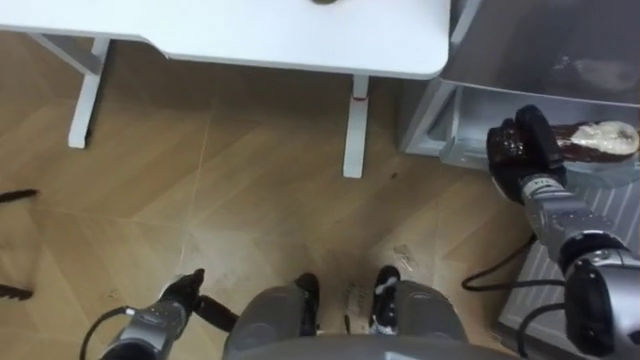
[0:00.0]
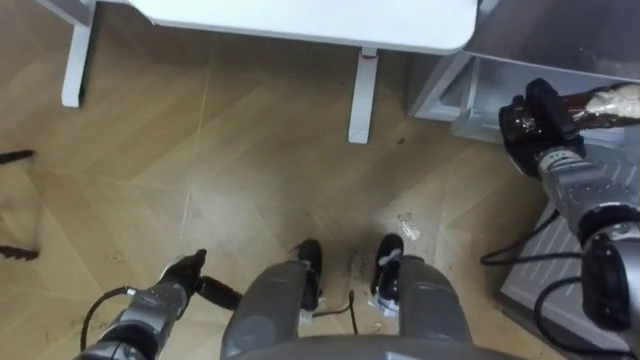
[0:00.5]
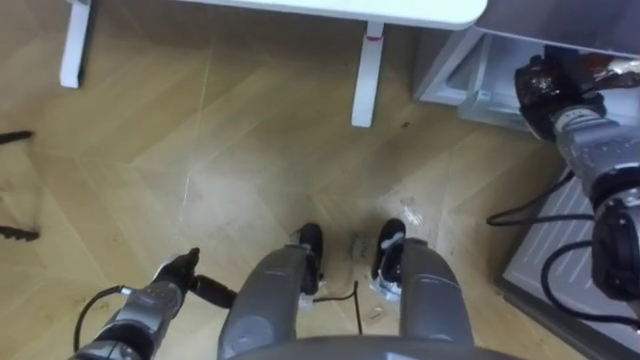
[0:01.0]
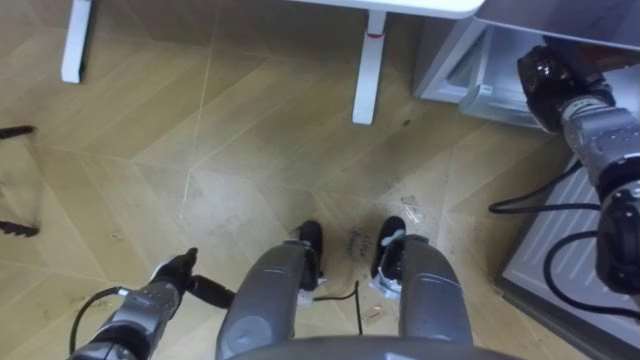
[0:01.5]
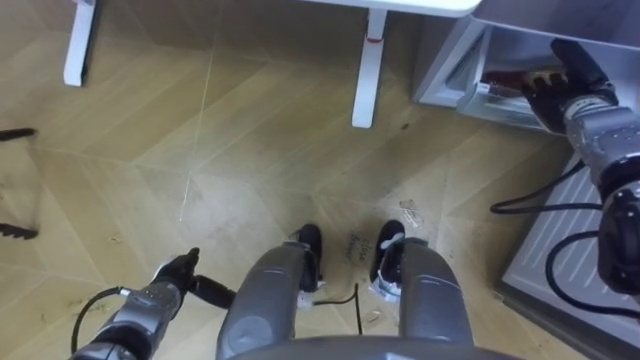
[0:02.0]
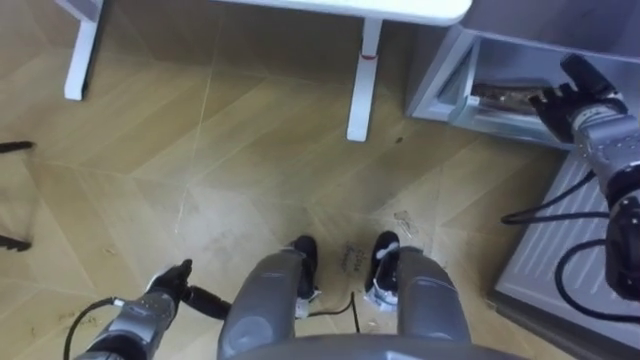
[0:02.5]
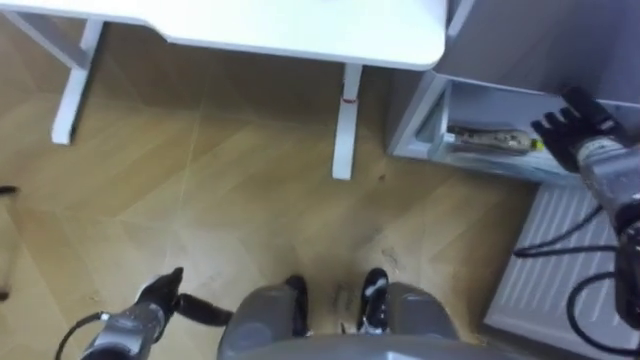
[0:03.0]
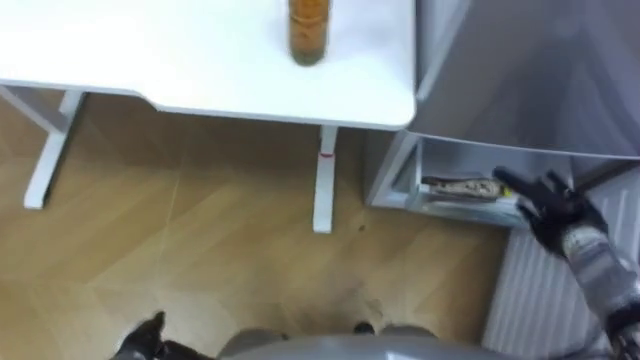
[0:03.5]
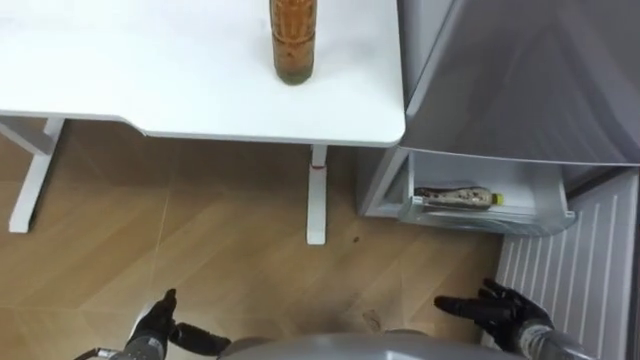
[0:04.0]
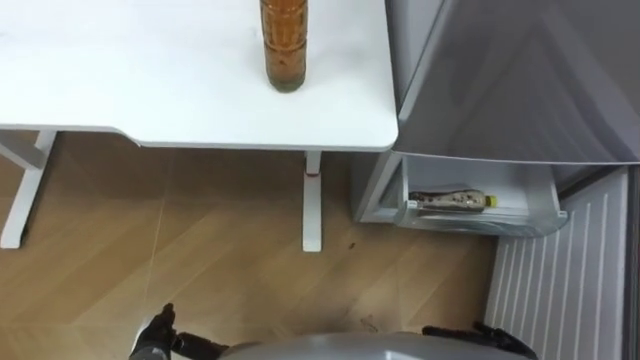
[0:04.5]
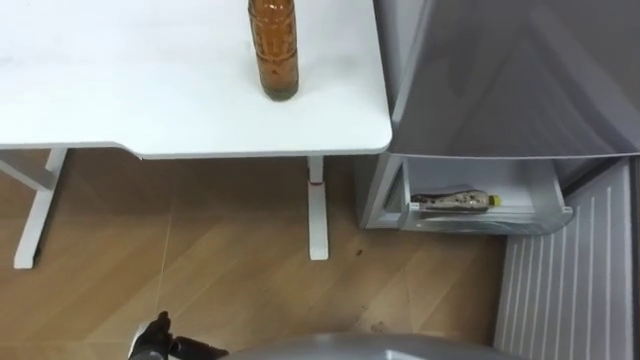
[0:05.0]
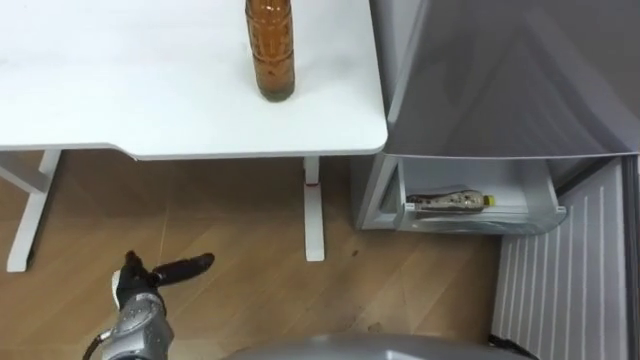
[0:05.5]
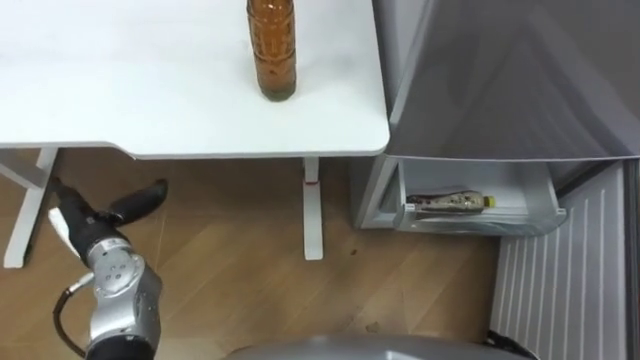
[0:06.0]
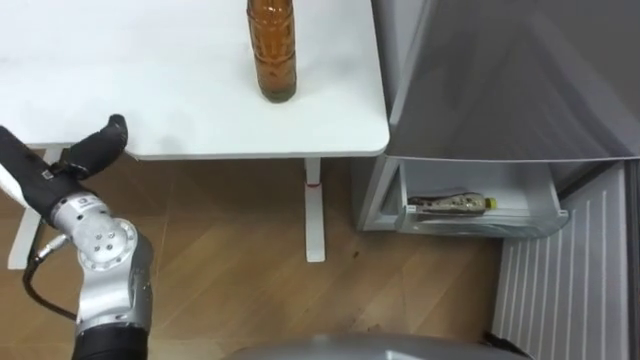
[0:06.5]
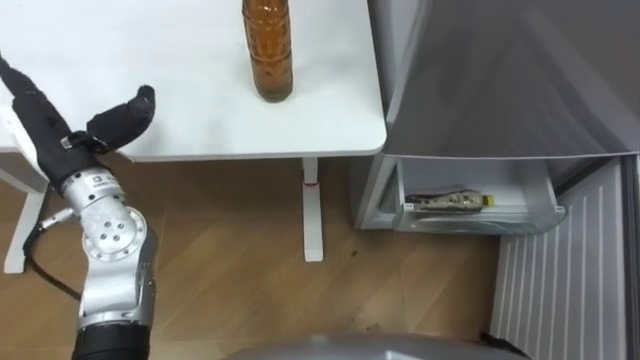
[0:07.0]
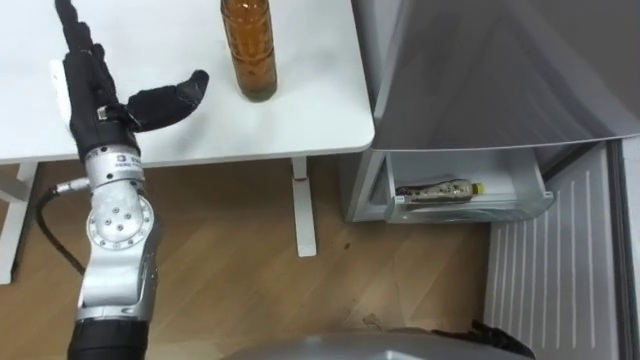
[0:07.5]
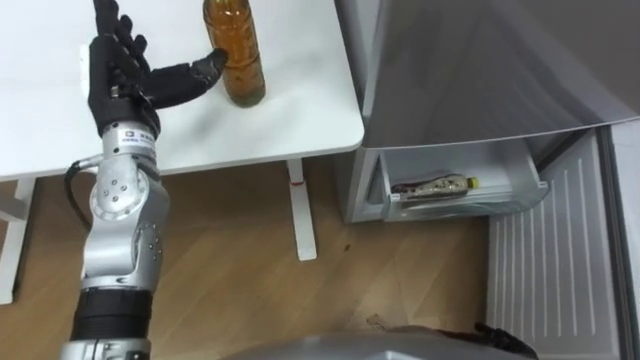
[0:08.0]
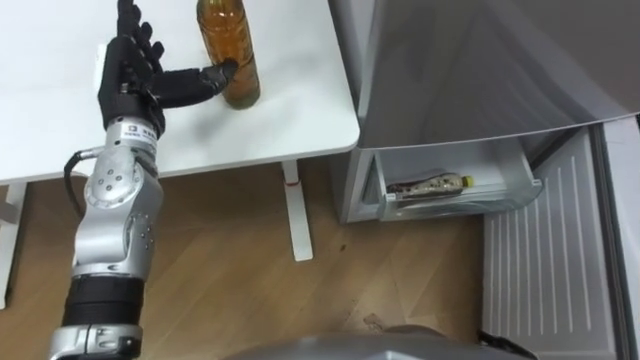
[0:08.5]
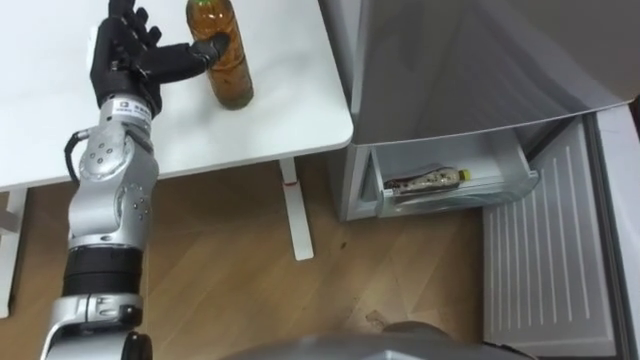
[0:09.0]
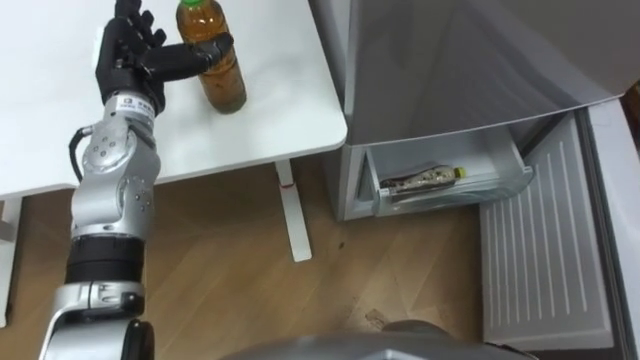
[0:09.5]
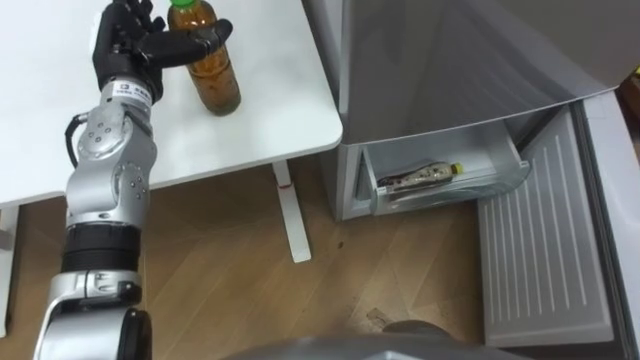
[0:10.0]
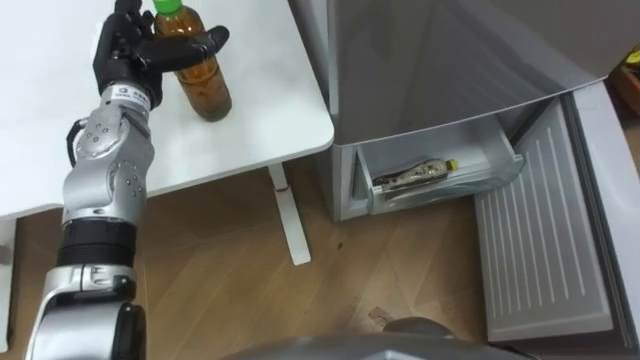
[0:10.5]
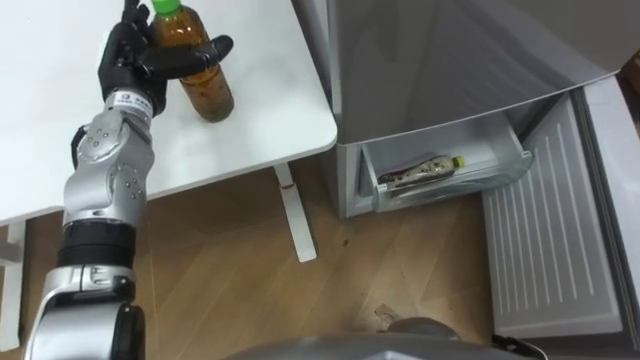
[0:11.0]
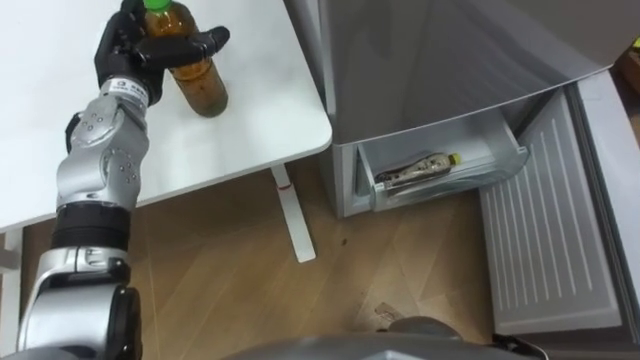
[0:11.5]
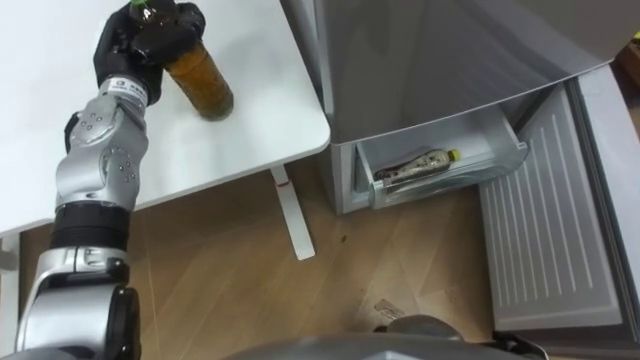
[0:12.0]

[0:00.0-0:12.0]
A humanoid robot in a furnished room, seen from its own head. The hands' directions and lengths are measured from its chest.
Task of the whole recording: Place the drink on the table on the bottom shelf of the refrigerator, then close the drawer and the refrigerator door.
0:00.0 to 0:02.0: The right hand goes some 10 cm upward and forward, and opens its fingers.
0:02.0 to 0:04.0: The left hand shifts approximately 5 cm backward. The right hand shifts roughly 30 cm backward and downward.
0:04.0 to 0:06.0: The left hand moves forward, upward and to the left, some 15 cm.
0:06.0 to 0:08.0: The left hand goes roughly 20 cm upward, forward and to the right.
0:08.0 to 0:10.0: The left hand is displaced forward by approximately 5 cm.
0:10.0 to 0:12.0: The left hand closes its fingers.

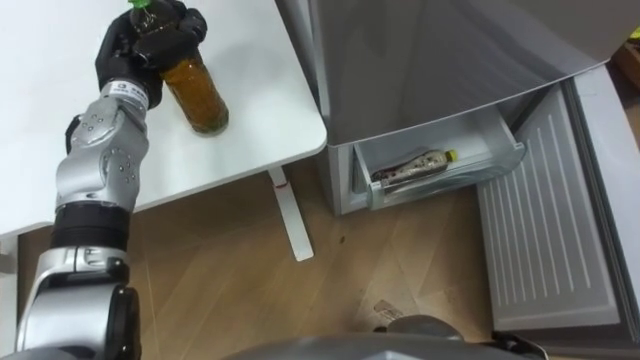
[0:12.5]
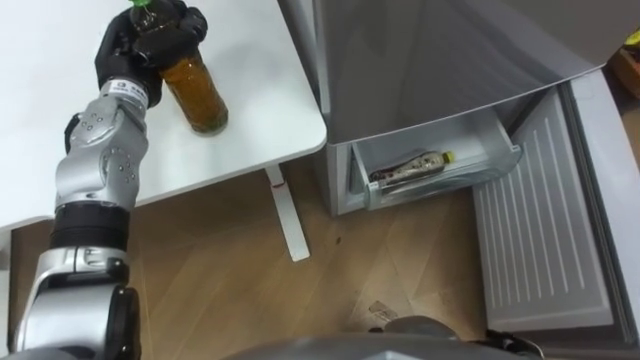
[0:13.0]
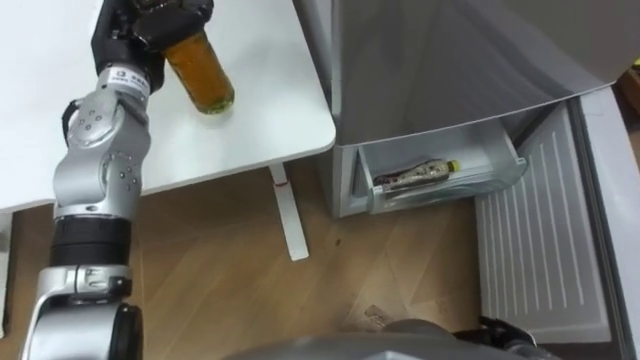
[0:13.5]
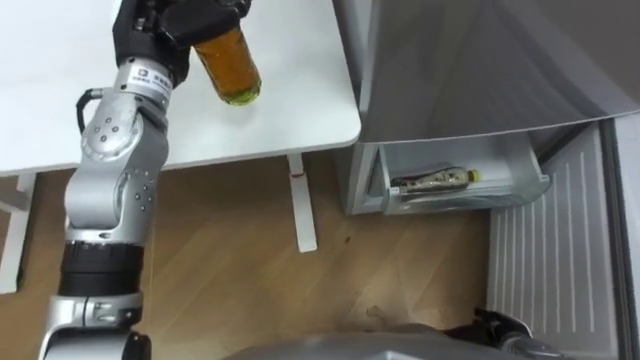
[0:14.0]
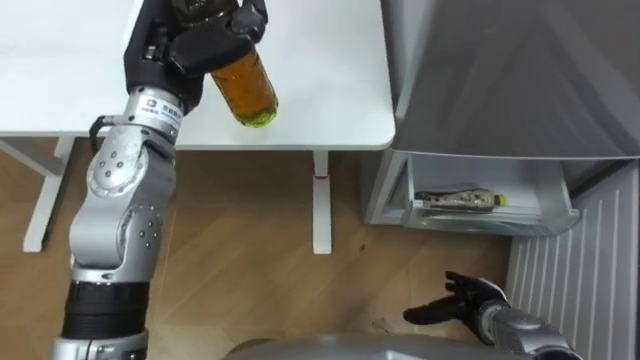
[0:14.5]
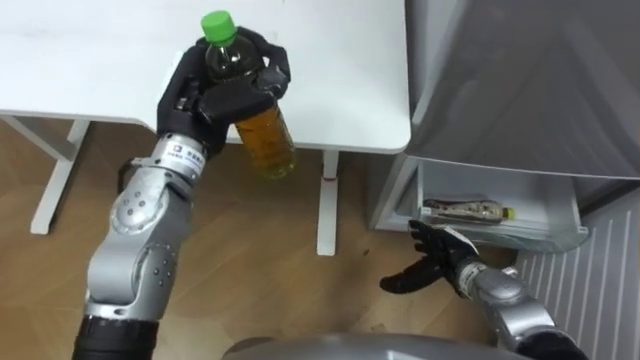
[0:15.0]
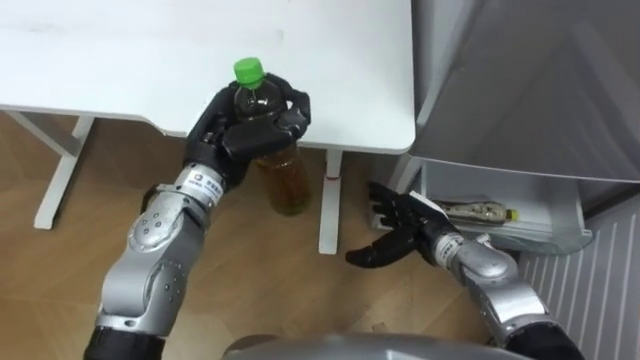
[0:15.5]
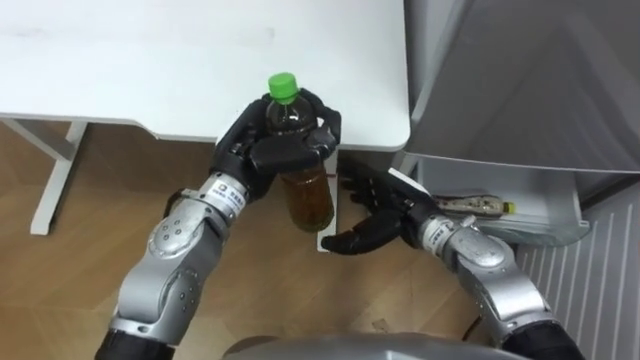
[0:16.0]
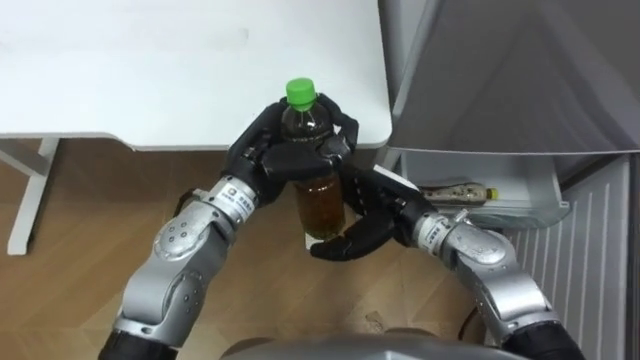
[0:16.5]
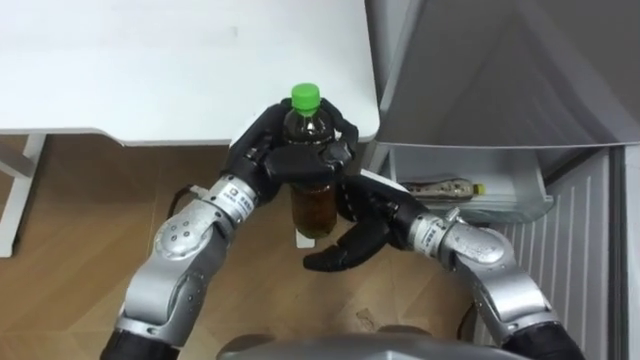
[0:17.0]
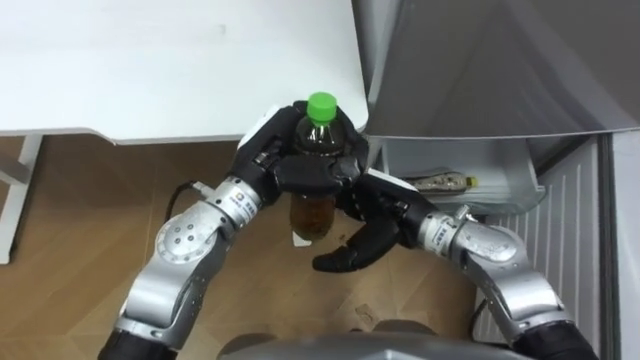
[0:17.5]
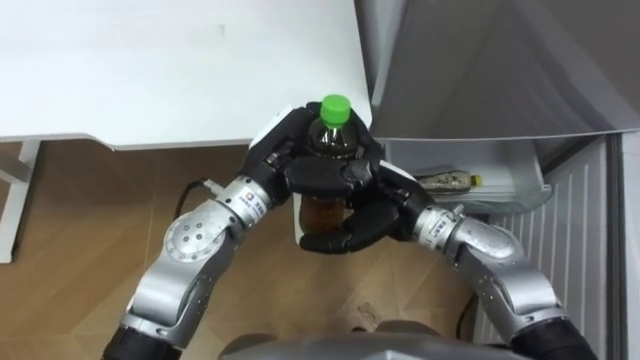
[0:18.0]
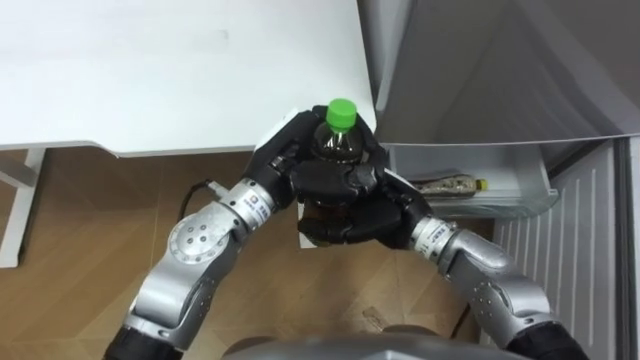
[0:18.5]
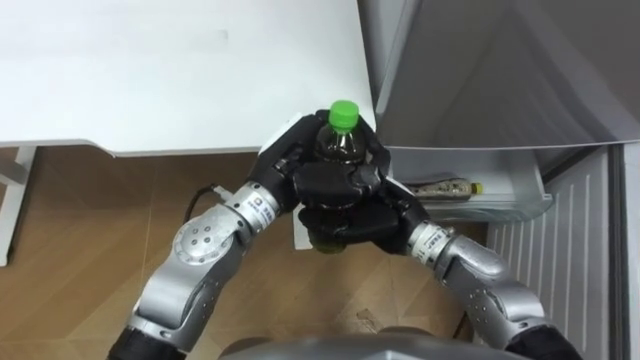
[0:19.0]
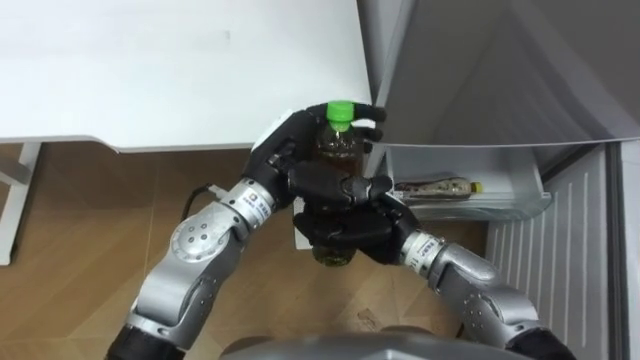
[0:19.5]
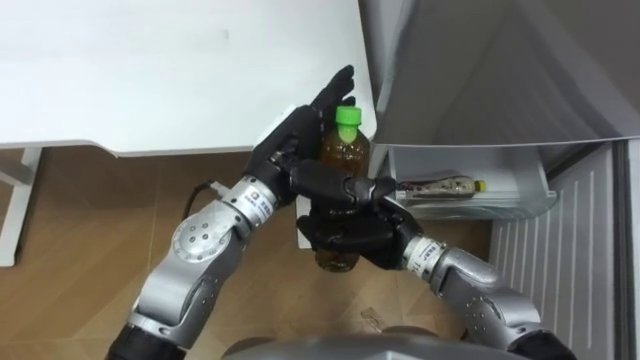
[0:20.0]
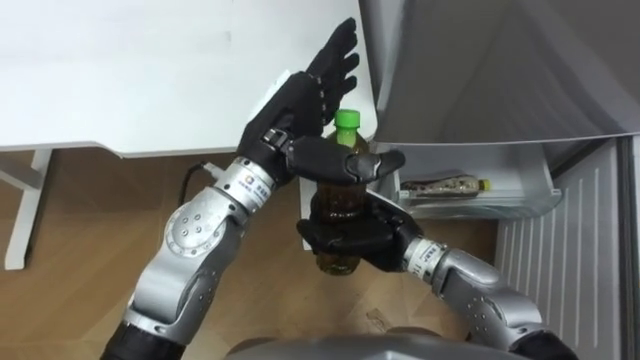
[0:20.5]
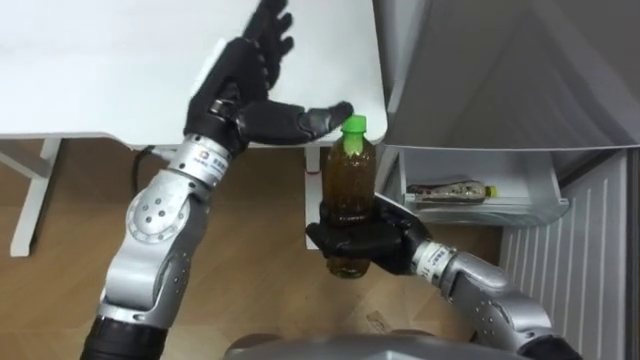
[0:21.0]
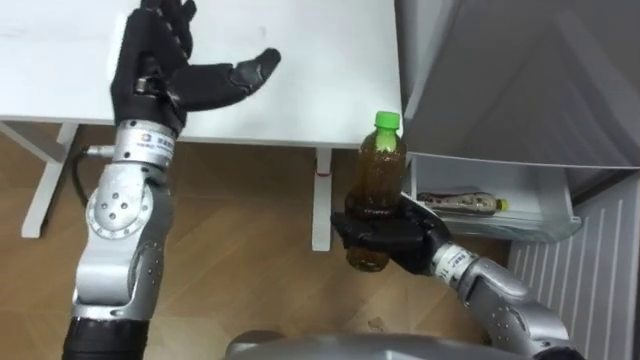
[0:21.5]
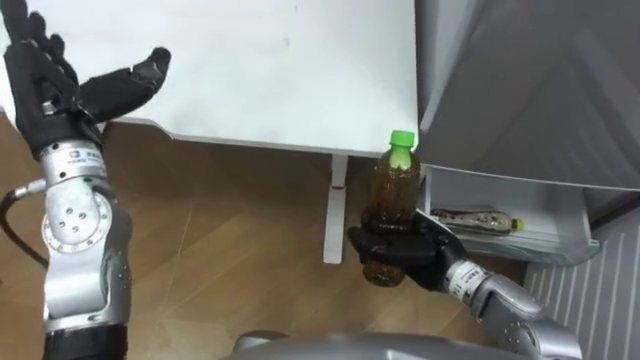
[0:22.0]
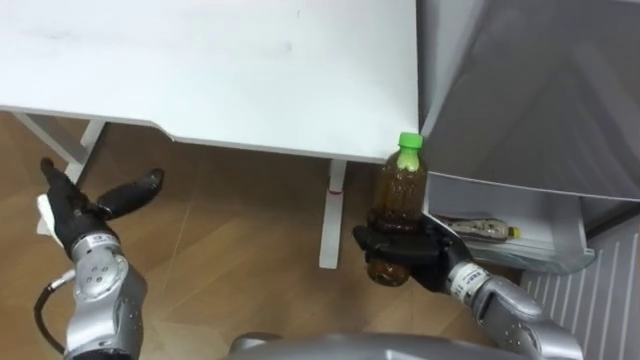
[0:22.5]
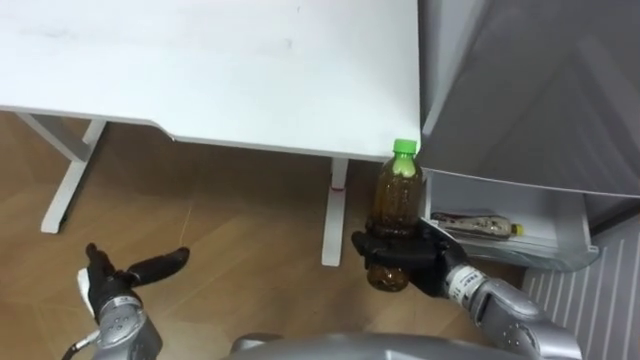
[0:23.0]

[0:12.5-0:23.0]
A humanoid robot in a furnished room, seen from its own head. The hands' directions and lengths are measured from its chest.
Task of the whole recording: Place the drink on the table on the bottom shelf of the refrigerator, then close the drawer and the refrigerator door.
0:12.5 to 0:14.5: The left hand heads upward, to the right and backward, covering about 10 cm.
0:14.5 to 0:16.5: The left hand goes approximately 15 cm downward, to the right and backward; the right hand heads upward, to the left and forward, covering approximately 25 cm.
0:16.5 to 0:19.0: The right hand closes its fingers.
0:19.0 to 0:21.0: The left hand shifts about 10 cm upward and to the left, and opens.
0:21.0 to 0:23.0: The right hand travels to the right by approximately 5 cm, while the left hand heads downward, to the left and backward, covering approximately 35 cm.
